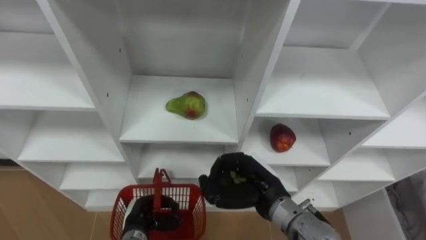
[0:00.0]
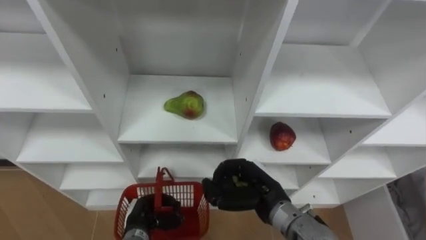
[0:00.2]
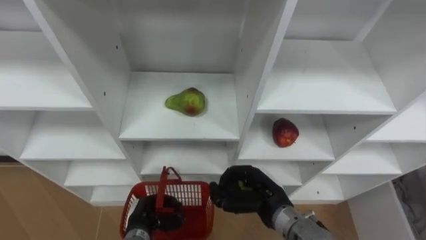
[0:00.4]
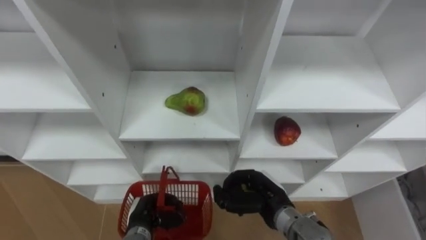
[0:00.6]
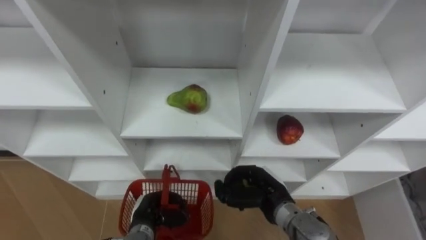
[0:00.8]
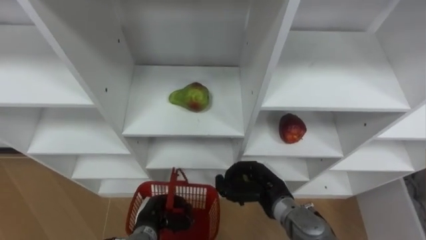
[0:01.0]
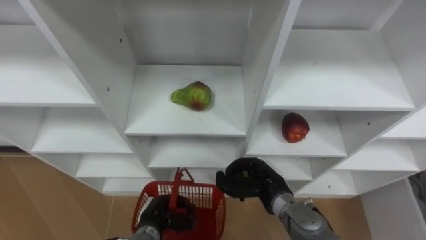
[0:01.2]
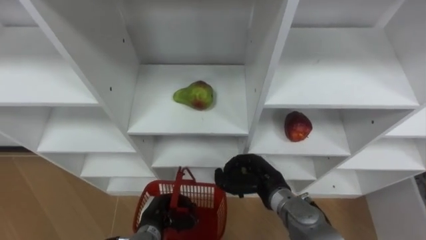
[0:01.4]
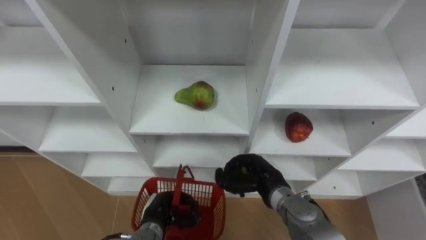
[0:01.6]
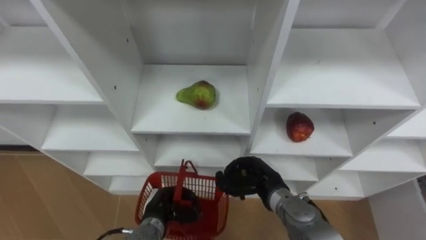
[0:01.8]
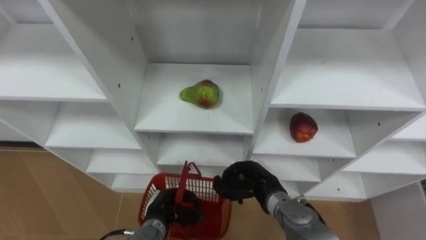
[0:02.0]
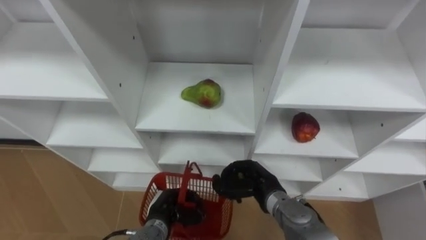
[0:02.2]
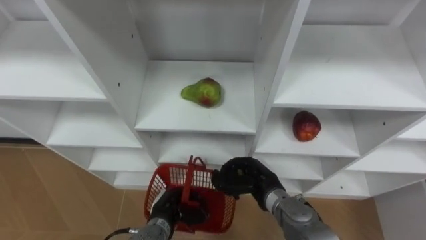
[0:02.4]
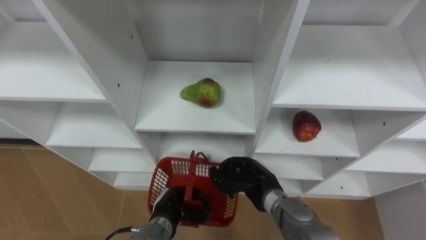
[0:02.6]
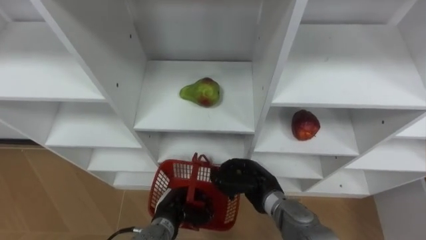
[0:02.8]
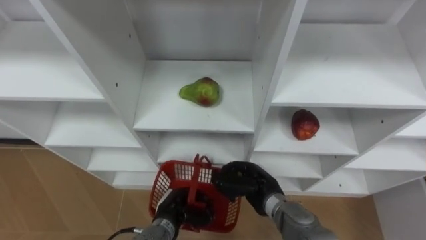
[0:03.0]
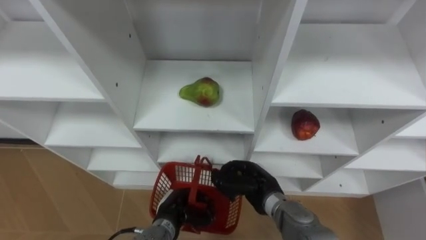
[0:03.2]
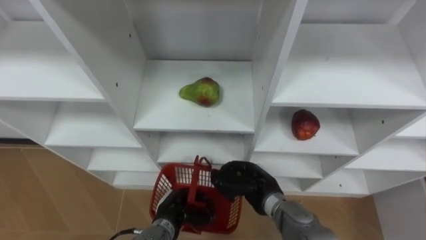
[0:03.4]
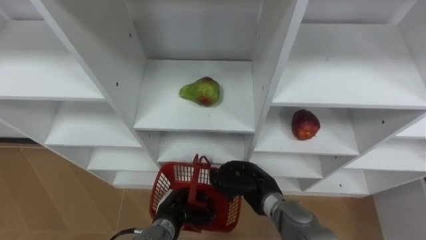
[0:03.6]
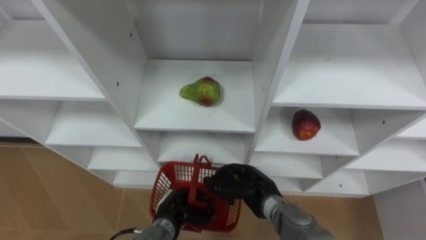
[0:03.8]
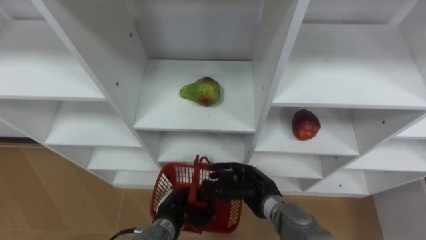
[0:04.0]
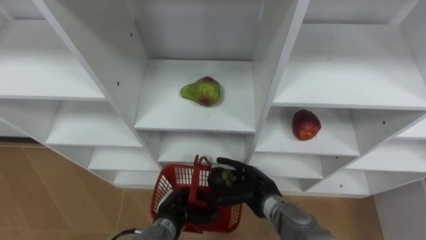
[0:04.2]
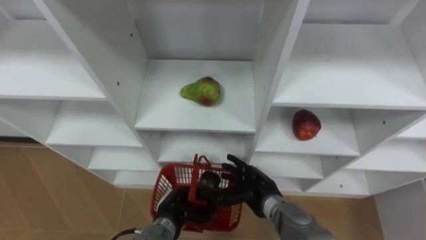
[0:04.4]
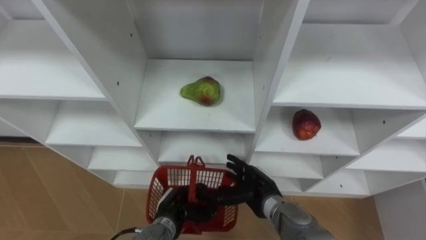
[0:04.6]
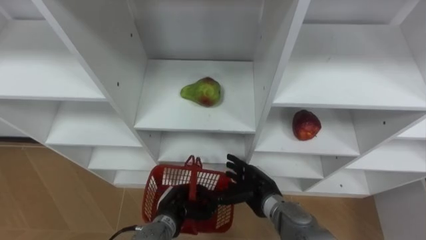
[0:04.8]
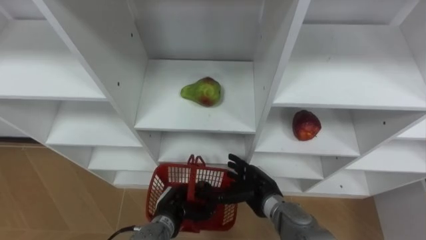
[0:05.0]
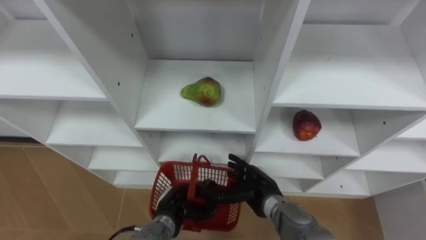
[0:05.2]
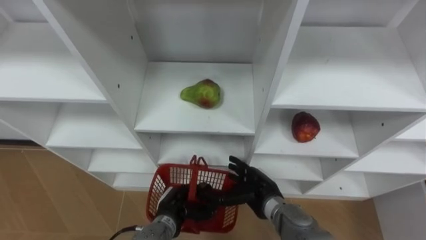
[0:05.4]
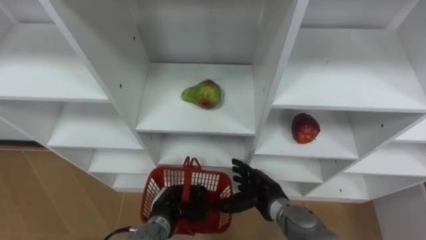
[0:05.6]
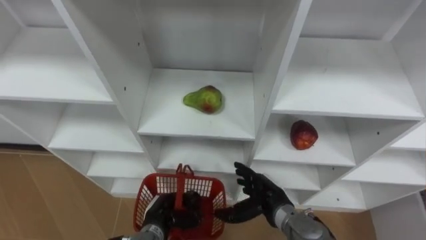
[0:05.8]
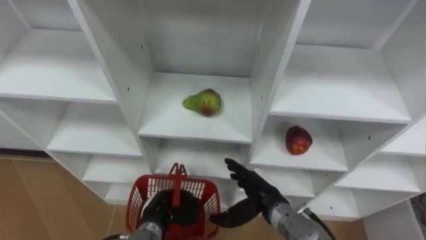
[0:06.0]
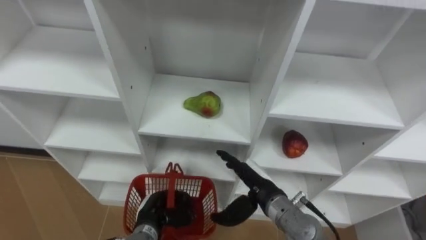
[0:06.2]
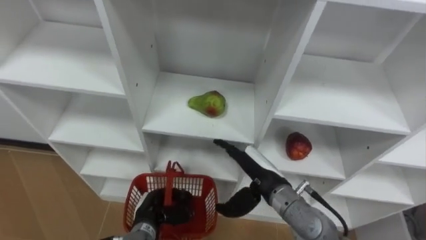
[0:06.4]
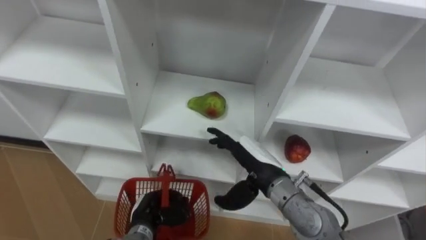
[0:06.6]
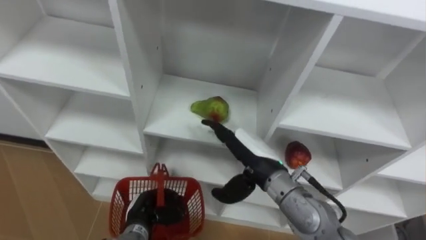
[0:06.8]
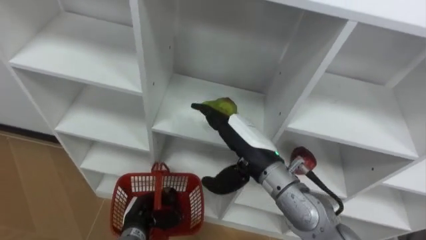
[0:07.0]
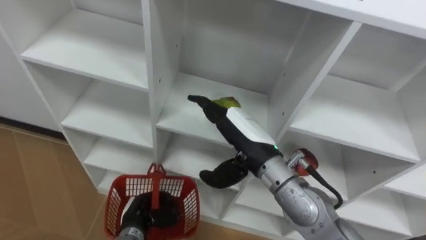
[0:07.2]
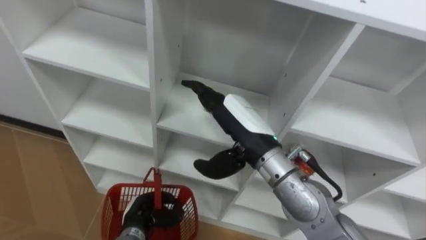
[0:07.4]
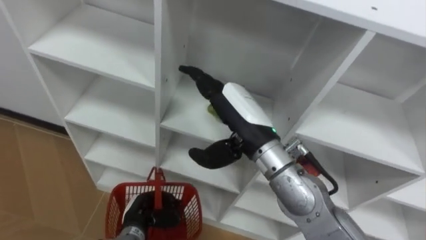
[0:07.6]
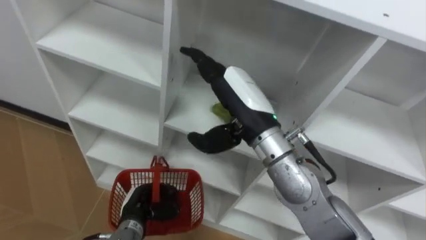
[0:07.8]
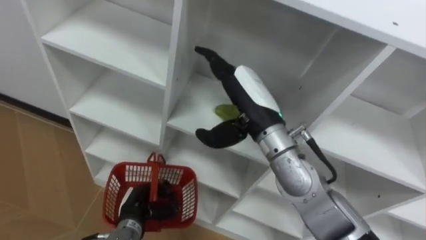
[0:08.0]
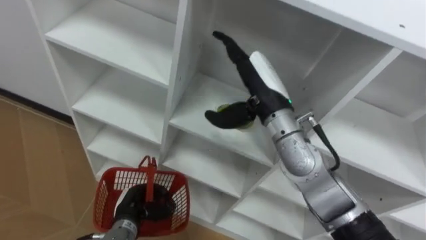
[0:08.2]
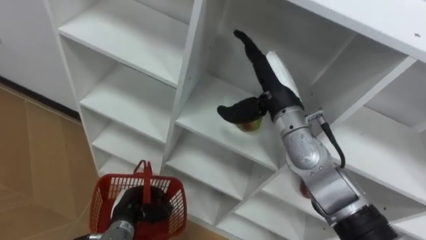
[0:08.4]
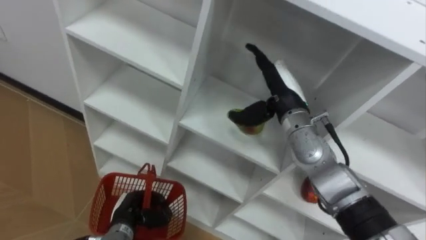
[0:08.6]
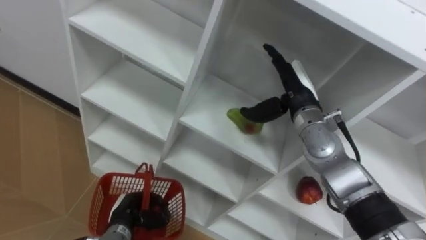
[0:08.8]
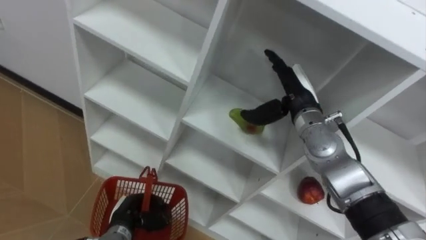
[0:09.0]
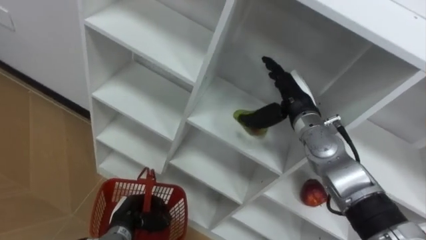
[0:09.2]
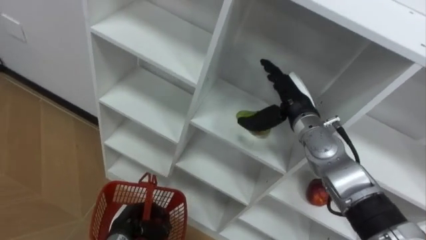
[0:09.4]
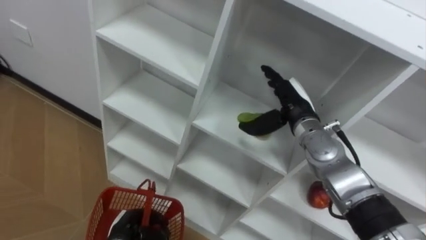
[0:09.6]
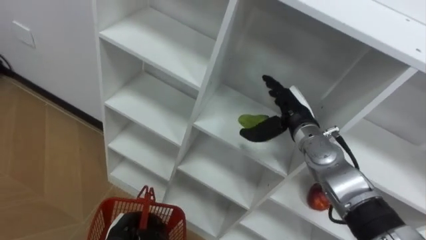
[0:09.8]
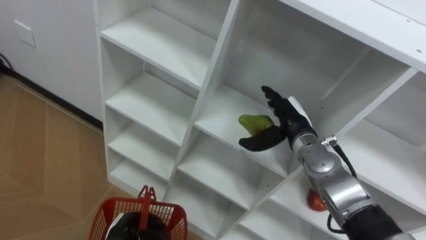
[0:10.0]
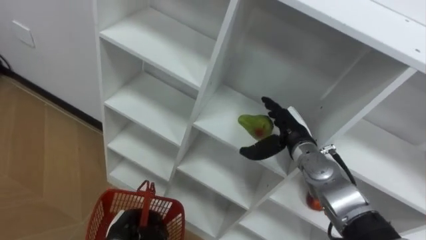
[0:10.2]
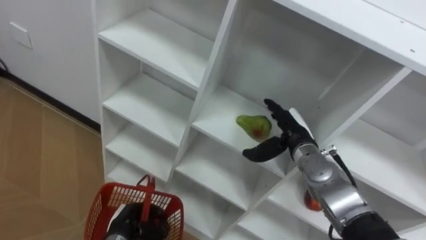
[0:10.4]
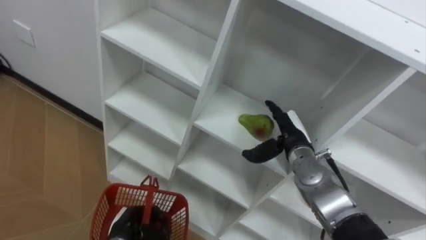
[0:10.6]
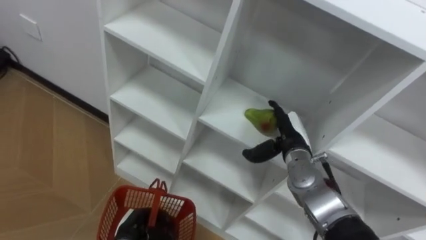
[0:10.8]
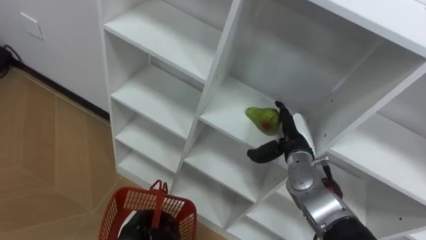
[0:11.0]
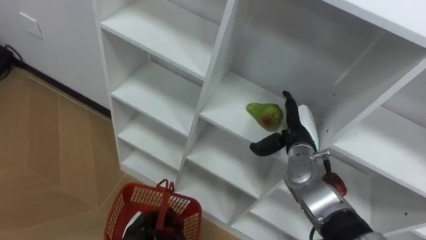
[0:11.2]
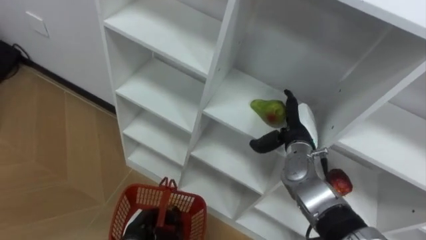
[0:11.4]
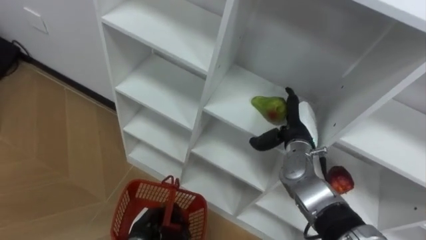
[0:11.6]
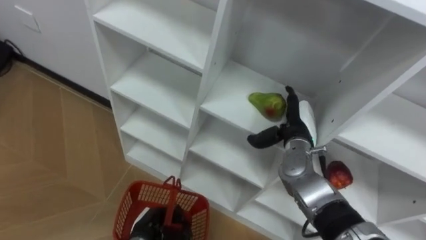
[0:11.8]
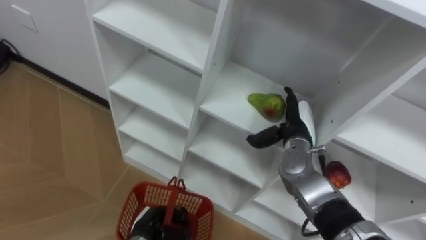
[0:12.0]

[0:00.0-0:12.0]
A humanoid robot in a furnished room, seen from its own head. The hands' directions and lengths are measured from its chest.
Task of the whole recording: Hold the basket and collect the fruits from 3 different cells of the closet into it.
0:00.0 to 0:01.6: The right hand travels downward by about 5 cm.
0:03.0 to 0:04.4: The right hand opens.
0:06.0 to 0:07.6: The right hand goes roughly 20 cm upward.
0:07.6 to 0:09.0: The right hand goes some 15 cm to the right, forward and downward.
0:09.0 to 0:10.4: The right hand goes about 10 cm downward.
0:10.4 to 0:12.0: The left hand moves to the right, some 5 cm.

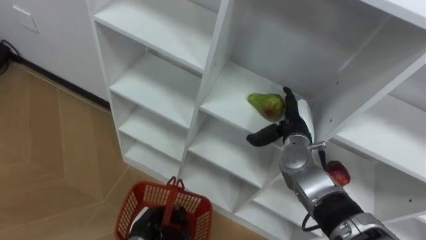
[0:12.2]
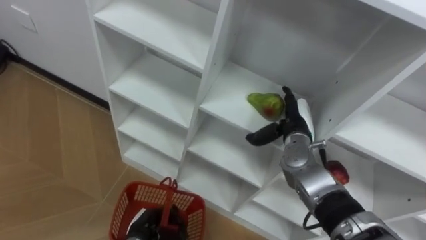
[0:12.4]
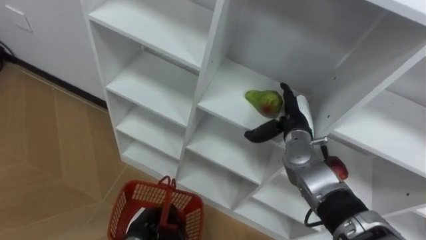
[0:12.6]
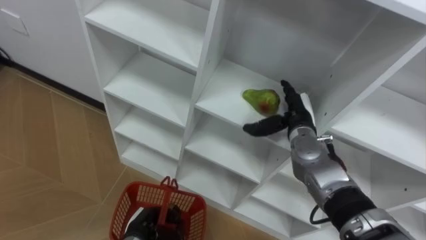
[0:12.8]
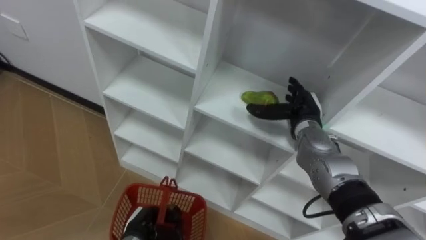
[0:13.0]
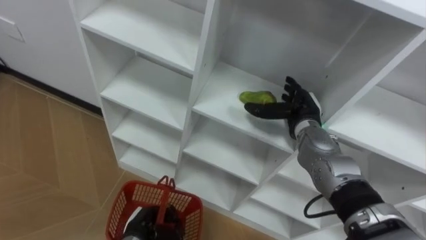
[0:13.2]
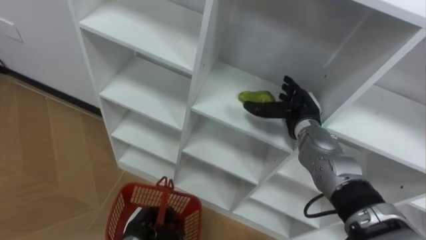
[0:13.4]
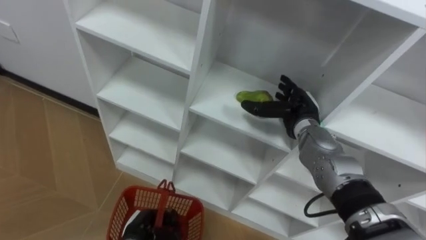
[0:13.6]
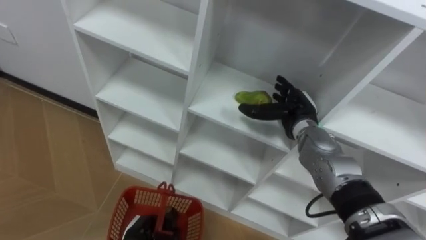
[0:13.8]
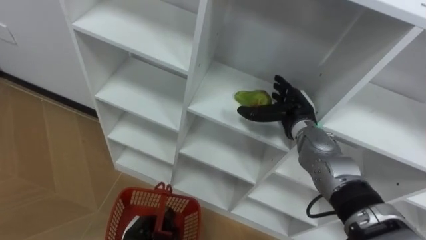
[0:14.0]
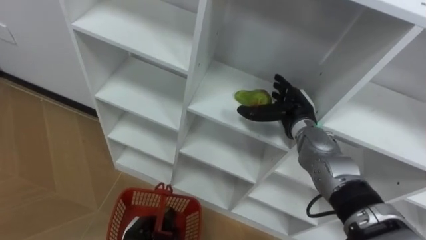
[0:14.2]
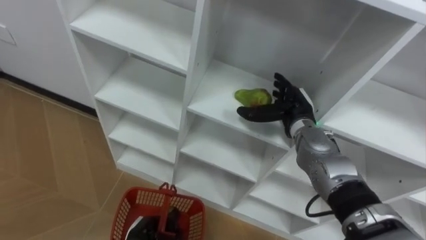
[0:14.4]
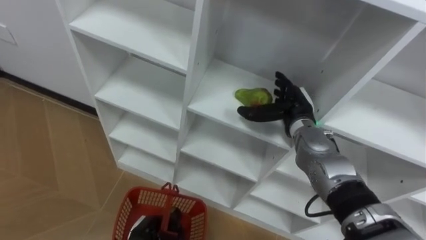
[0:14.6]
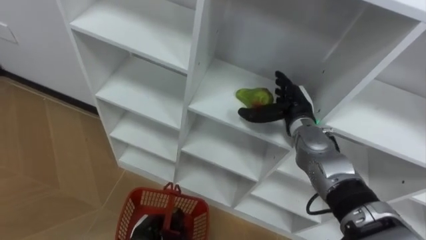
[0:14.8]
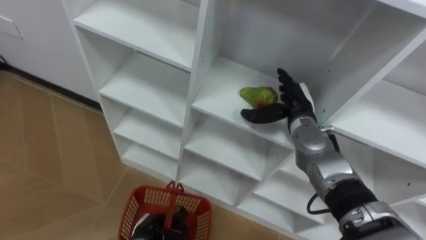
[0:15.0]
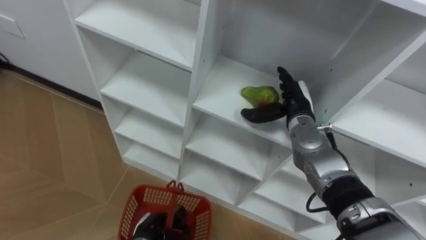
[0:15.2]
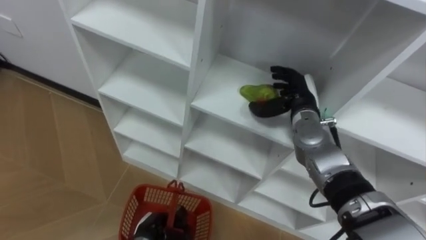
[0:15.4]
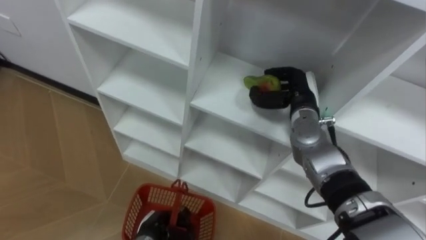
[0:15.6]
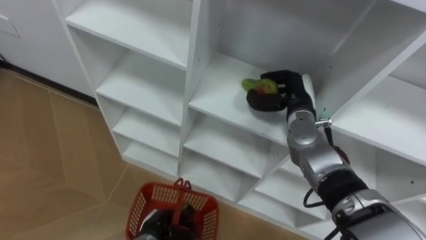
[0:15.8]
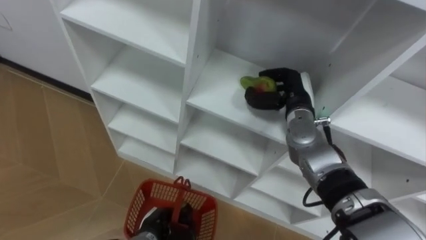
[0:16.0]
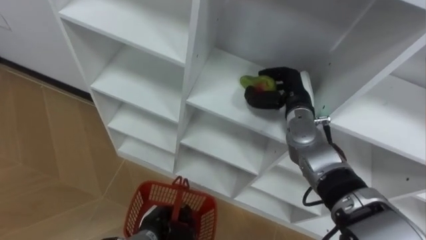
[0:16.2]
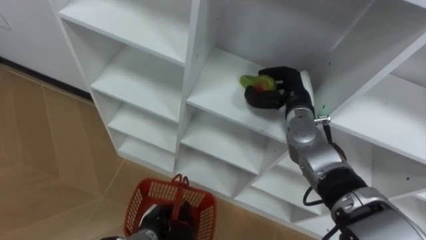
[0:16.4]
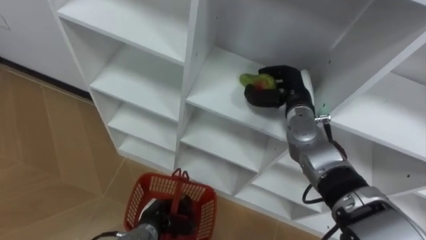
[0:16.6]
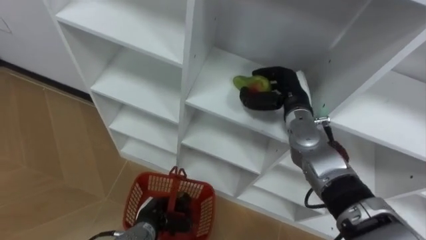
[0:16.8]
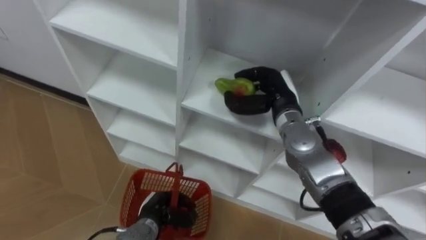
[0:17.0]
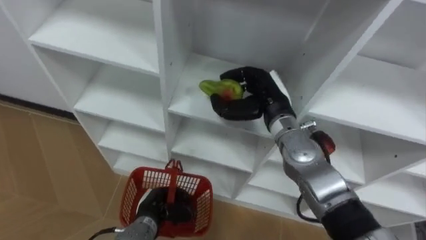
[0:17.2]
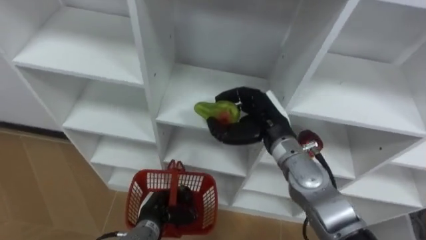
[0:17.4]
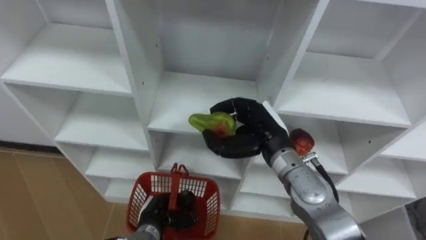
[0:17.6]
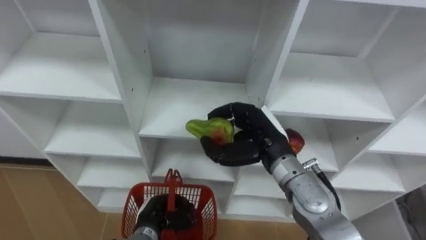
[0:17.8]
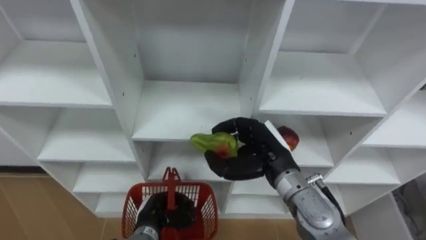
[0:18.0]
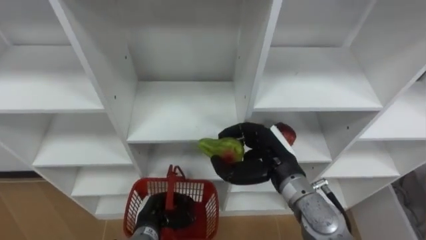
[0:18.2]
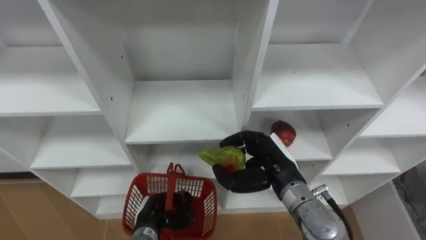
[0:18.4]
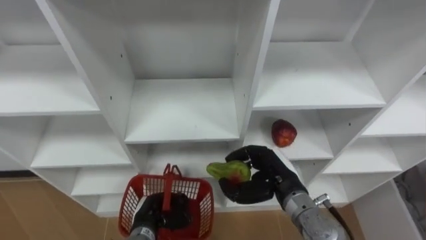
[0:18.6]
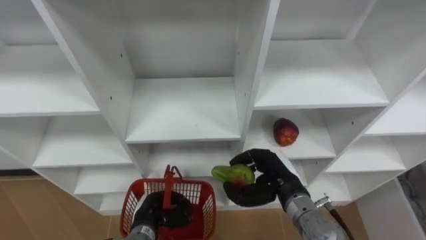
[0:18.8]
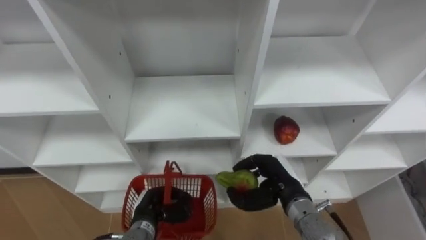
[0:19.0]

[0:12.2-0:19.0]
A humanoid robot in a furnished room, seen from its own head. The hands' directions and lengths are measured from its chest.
Task of the whole recording: Hold the basket and collect the fruits from 3 different cells of the closet into it.
0:15.0 to 0:16.2: The right hand closes up.
0:16.2 to 0:17.6: The right hand travels backward and to the left by approximately 10 cm.
0:17.6 to 0:19.0: The right hand goes about 10 cm downward and backward.
